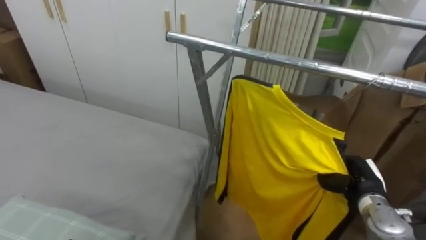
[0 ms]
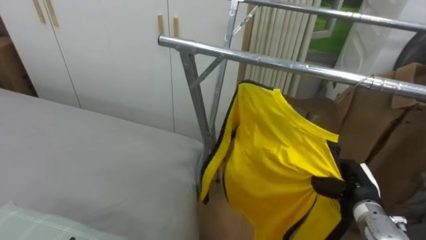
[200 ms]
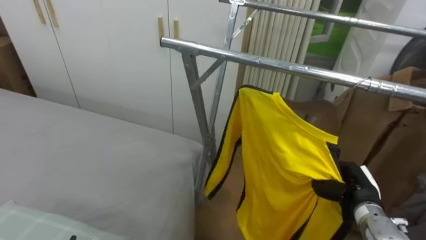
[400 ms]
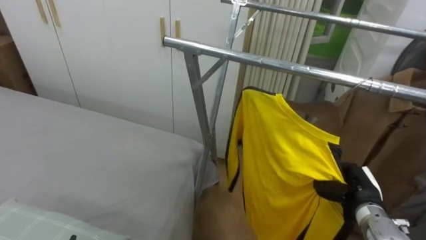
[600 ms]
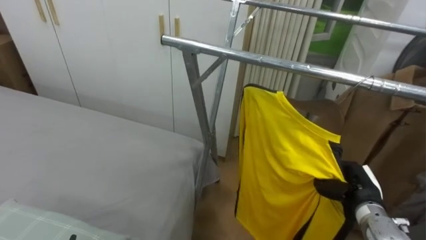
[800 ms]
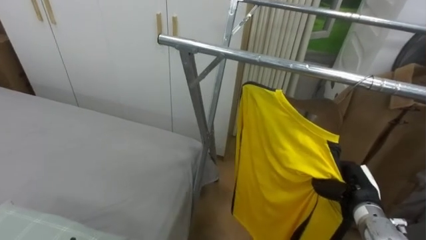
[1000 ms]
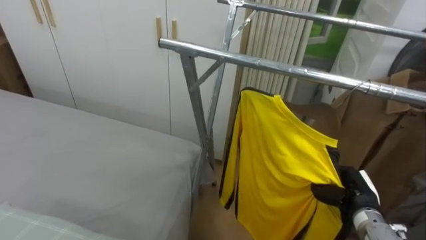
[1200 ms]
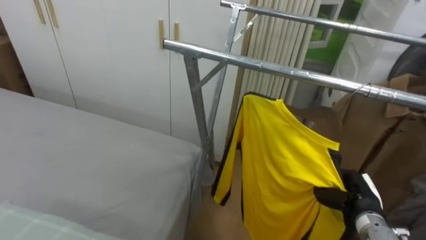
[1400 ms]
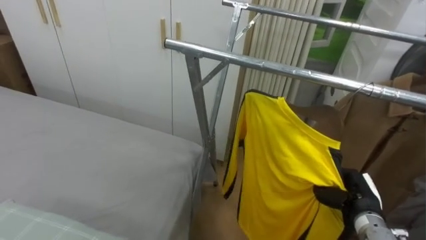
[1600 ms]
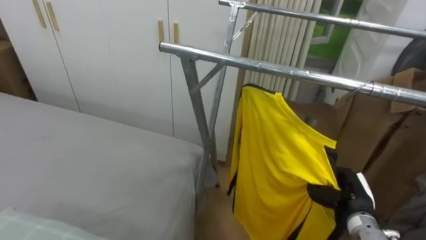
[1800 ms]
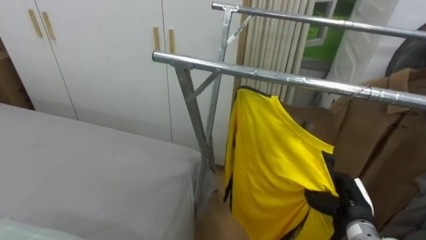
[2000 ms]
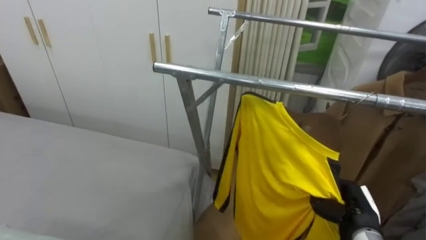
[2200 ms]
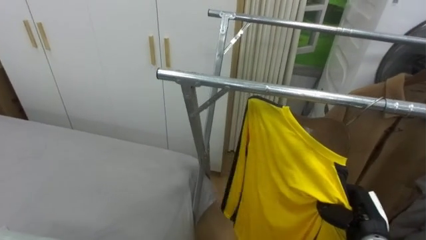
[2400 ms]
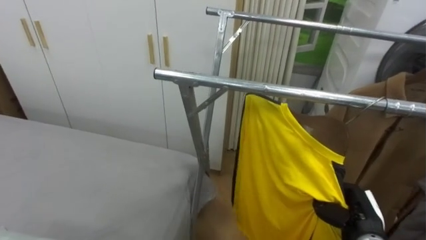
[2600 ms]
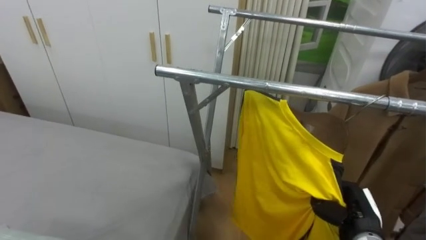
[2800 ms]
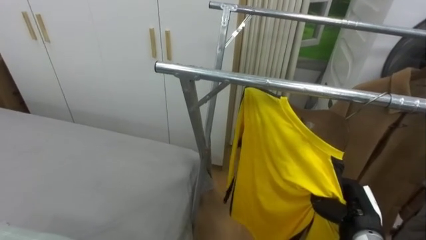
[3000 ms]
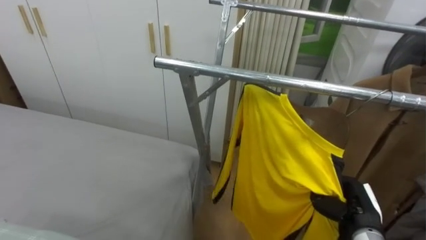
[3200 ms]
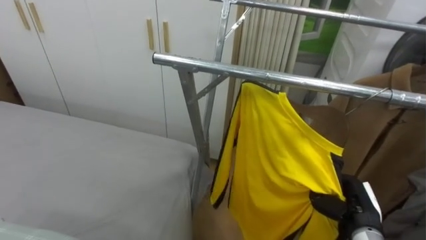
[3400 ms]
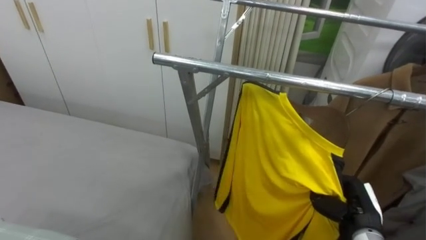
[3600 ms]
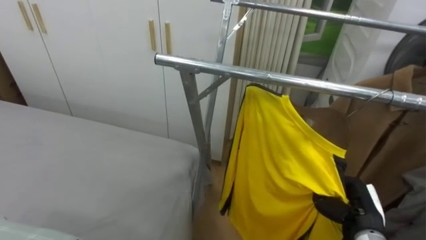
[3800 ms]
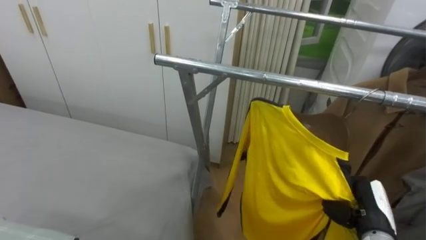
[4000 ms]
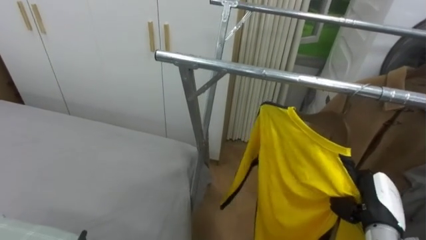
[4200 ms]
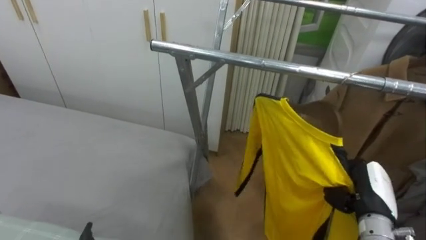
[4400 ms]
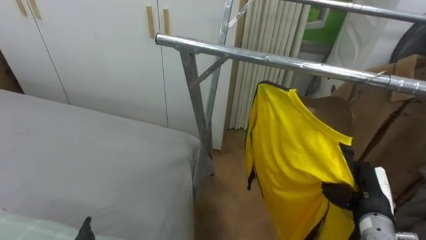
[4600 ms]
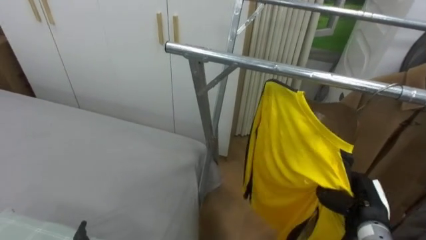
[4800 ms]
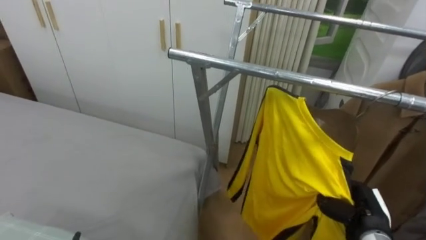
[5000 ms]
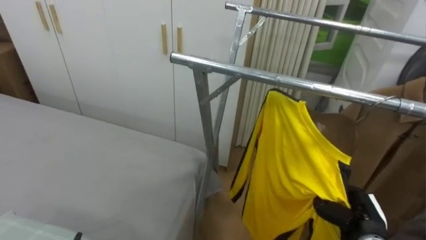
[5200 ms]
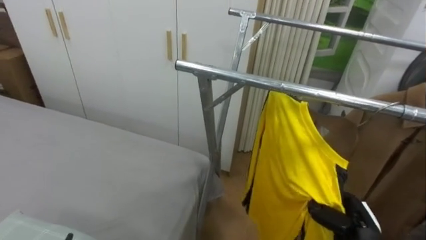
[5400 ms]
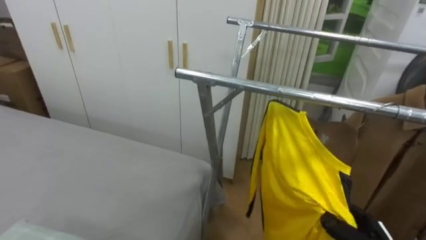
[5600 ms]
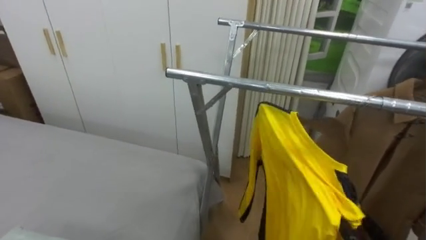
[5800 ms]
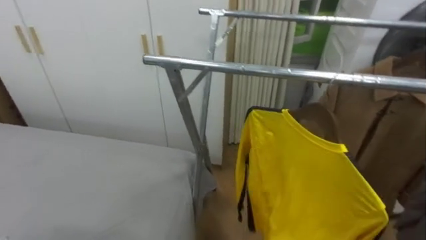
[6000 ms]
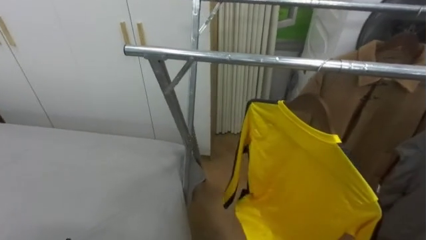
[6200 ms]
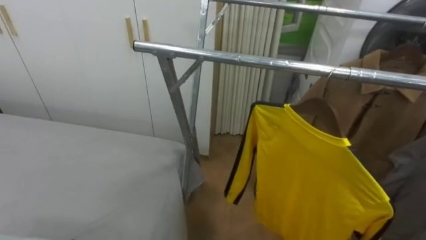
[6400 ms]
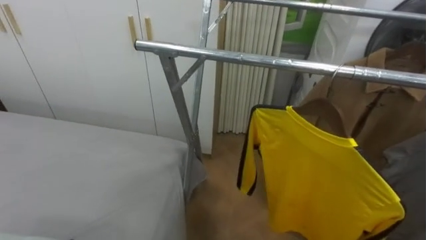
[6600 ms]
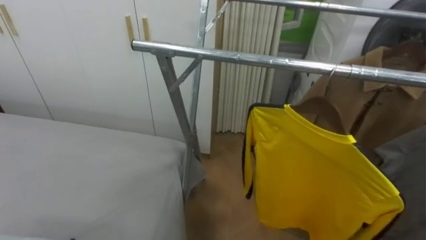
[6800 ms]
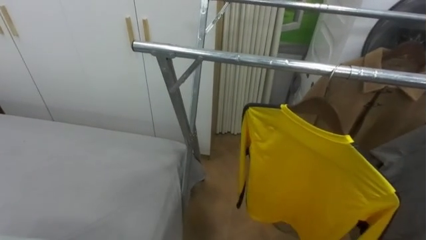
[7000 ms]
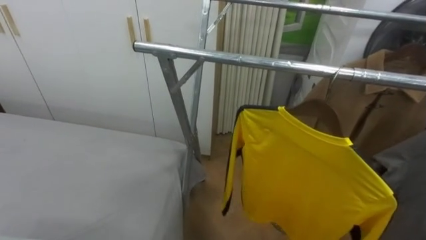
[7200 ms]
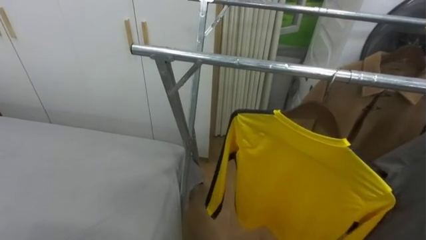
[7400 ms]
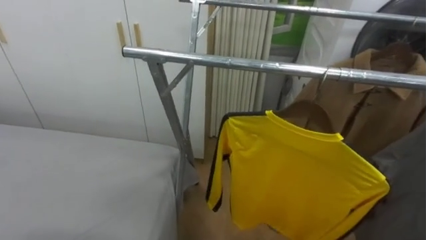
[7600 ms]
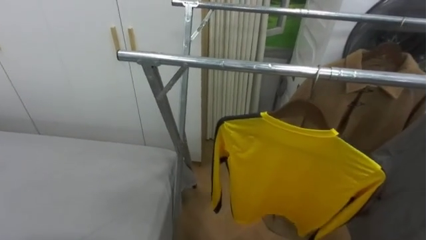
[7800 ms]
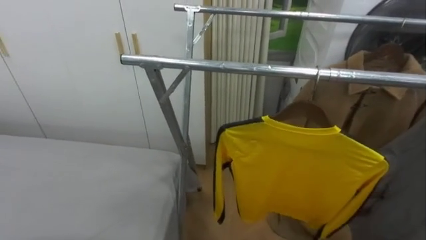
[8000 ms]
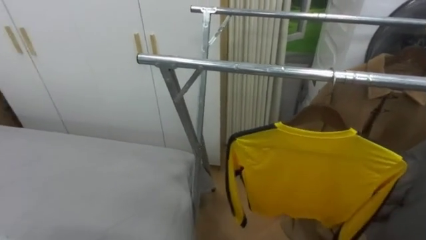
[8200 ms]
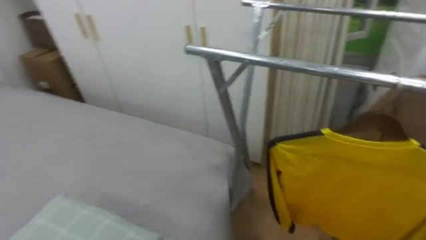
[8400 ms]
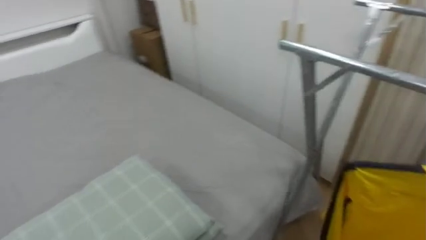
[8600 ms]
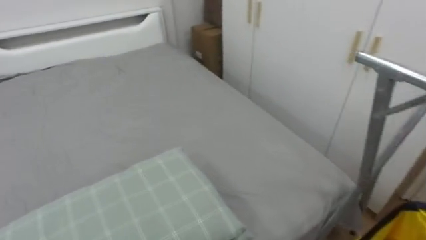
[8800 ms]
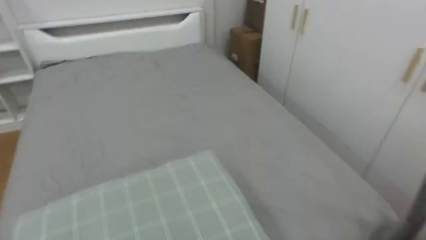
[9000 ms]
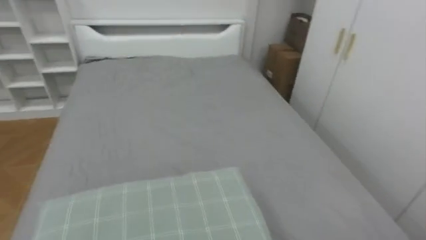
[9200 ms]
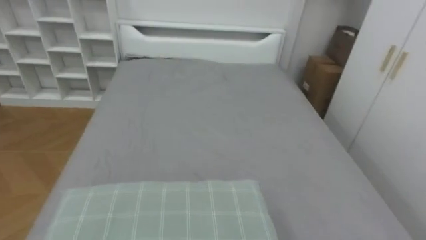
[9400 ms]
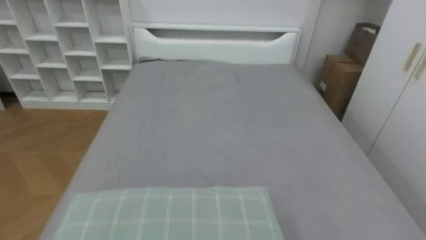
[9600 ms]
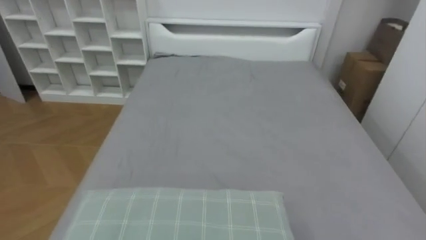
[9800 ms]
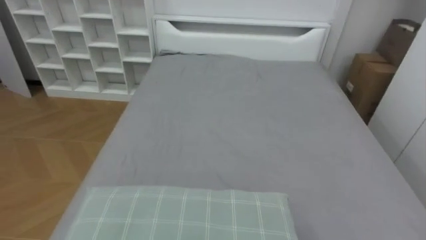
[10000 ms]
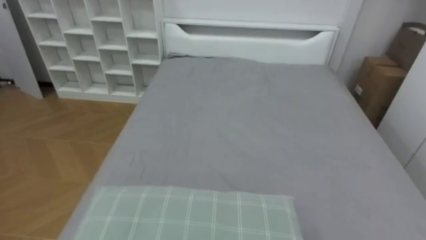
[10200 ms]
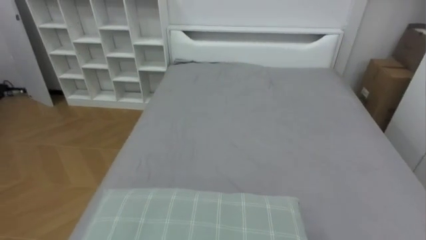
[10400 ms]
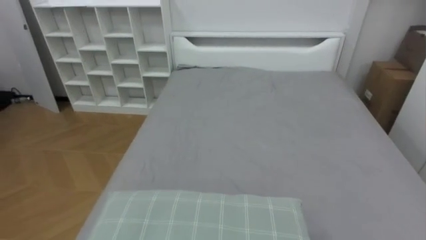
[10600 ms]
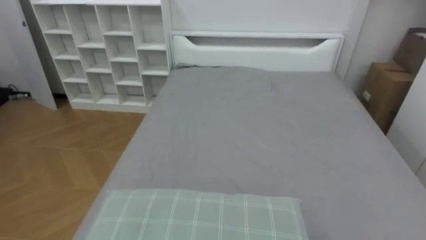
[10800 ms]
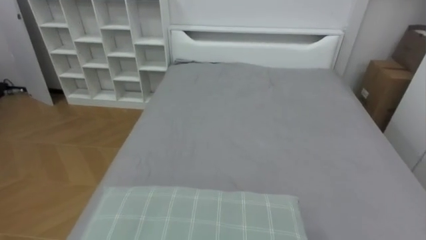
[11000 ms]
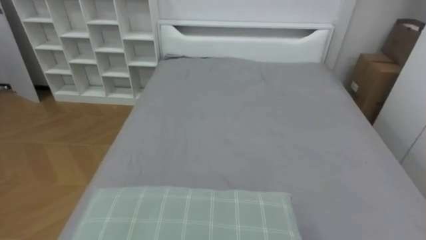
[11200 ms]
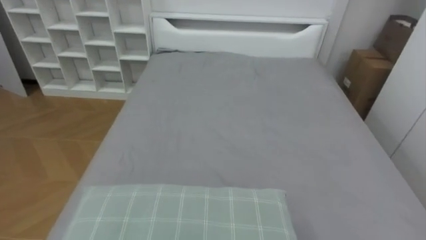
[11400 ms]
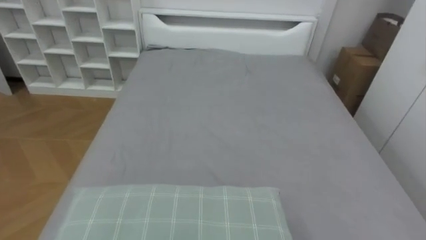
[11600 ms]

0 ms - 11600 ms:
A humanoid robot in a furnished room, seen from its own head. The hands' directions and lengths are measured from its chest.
Task of the whole recording: Pick up the yellow shirt on the bed and hang it on the clothes rack on the right.
2800 ms - 4400 ms: The right hand is displaced upward by roughly 5 cm.
7200 ms - 8800 ms: The robot turns to its left by some 45 degrees.
8800 ms - 10200 ms: The robot's body swings about 40 degrees to its left.

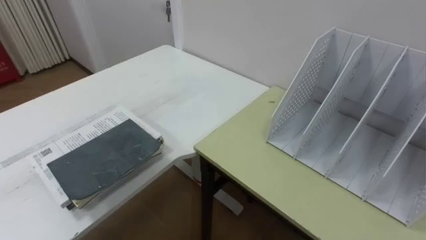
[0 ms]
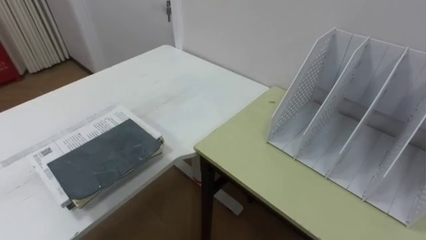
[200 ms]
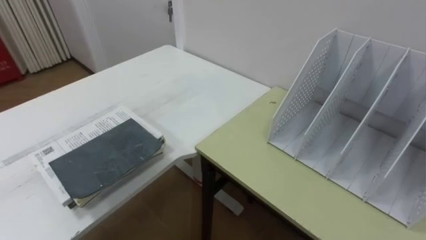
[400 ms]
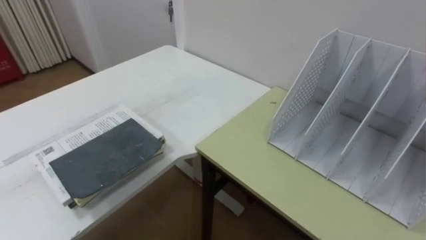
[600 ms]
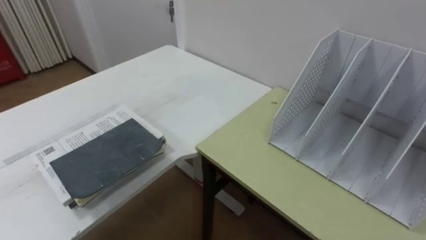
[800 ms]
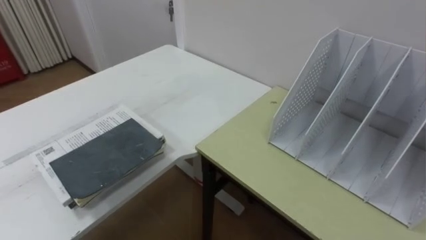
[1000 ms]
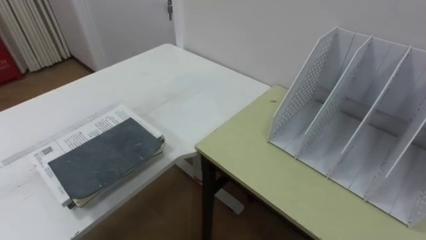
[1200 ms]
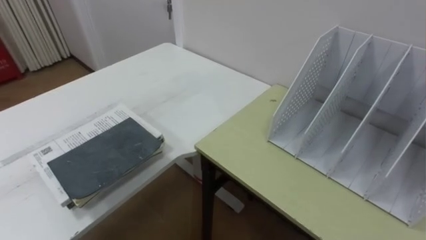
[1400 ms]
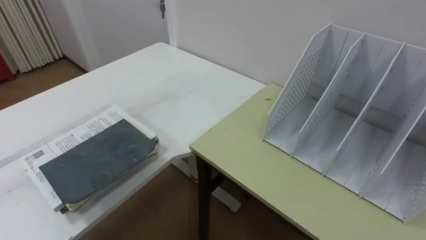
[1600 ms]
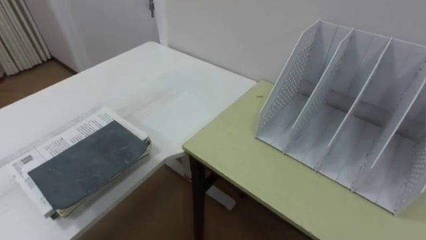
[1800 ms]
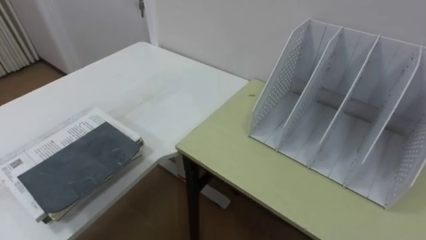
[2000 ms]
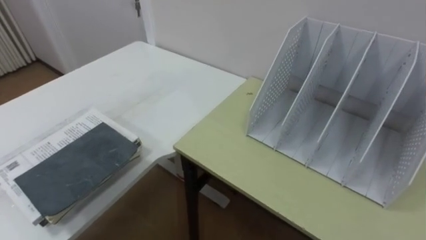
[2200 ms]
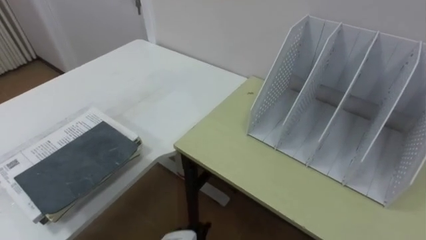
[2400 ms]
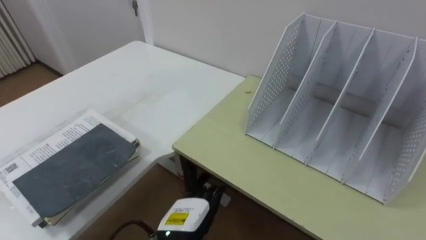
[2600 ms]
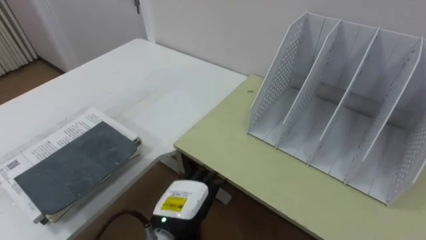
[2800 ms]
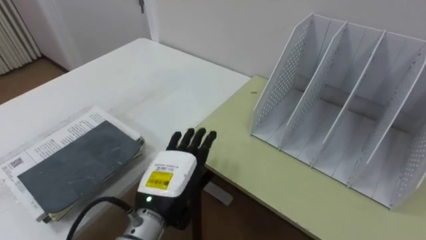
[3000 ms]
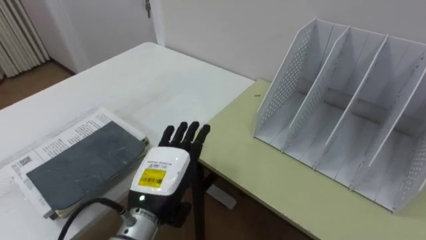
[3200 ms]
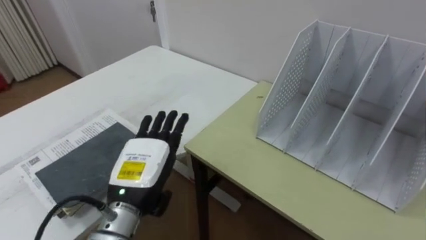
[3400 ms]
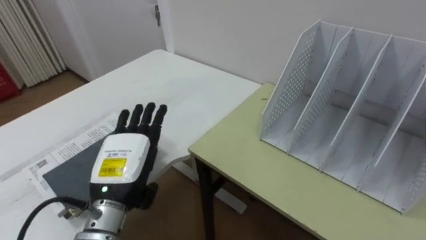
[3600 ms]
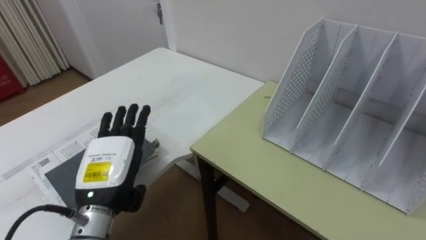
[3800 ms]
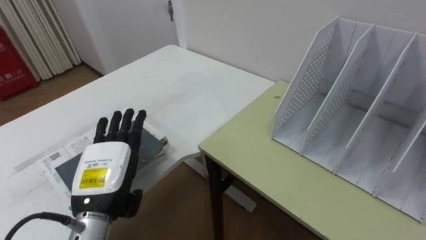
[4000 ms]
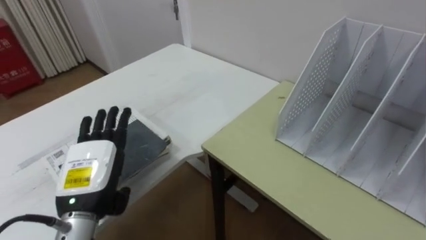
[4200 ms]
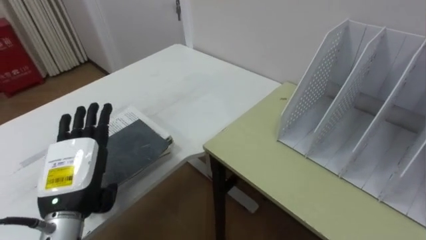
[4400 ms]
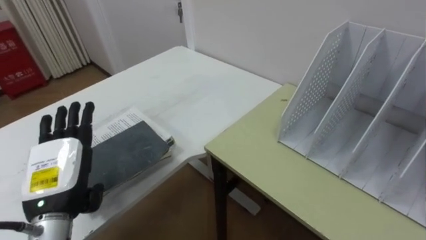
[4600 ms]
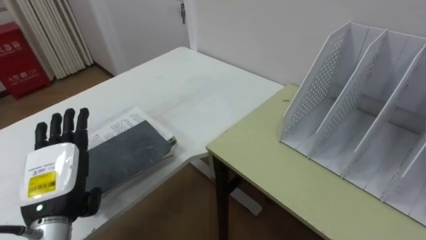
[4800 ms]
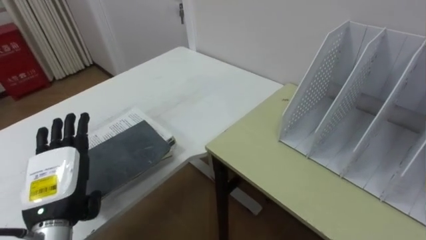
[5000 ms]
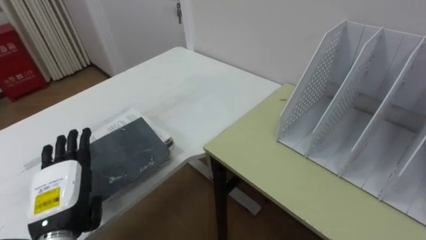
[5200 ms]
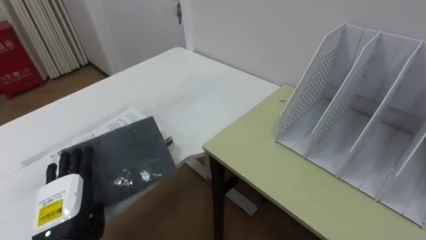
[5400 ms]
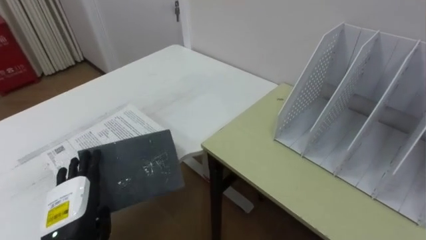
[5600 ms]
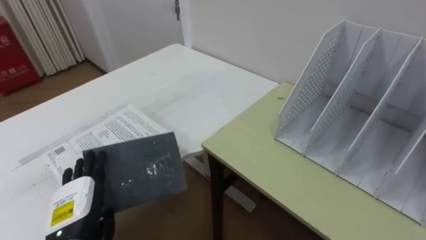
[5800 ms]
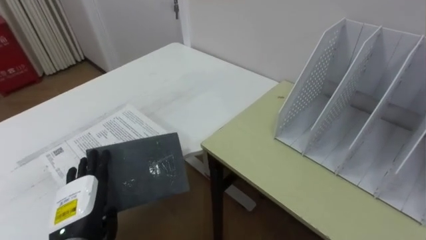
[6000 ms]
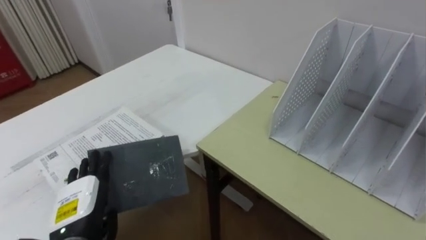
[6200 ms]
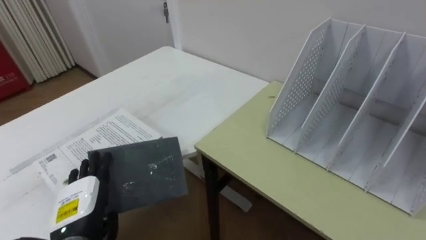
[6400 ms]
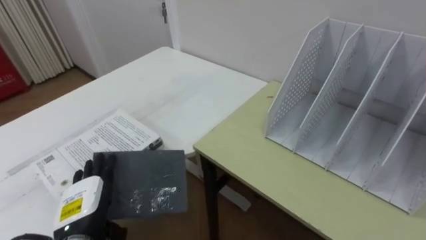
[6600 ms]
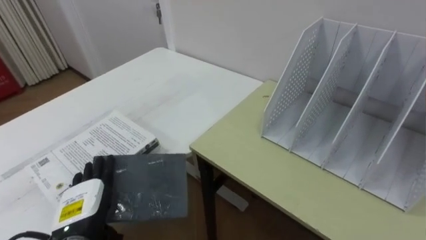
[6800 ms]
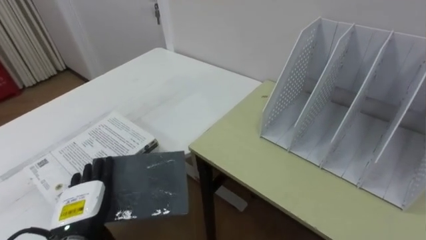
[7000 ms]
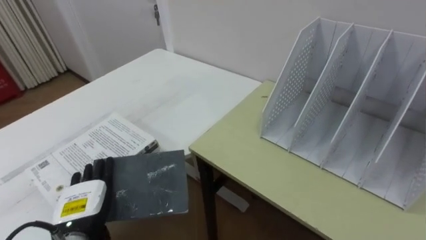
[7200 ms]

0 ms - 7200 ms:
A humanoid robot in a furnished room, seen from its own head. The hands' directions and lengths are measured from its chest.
Task of the whole recording: Put the books on the table onto the bookshelf.
2800 ms - 4400 ms: The left hand is displaced to the left and upward by approximately 20 cm.
4400 ms - 5800 ms: The left hand shifts some 10 cm downward.
